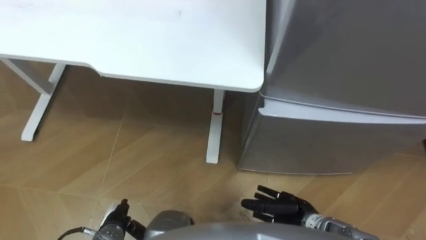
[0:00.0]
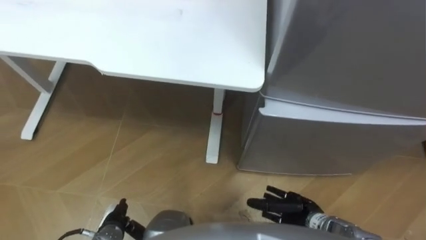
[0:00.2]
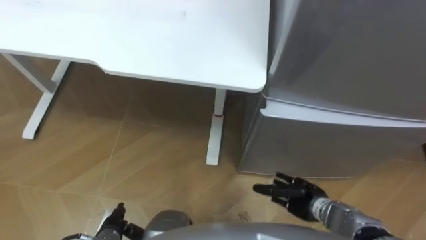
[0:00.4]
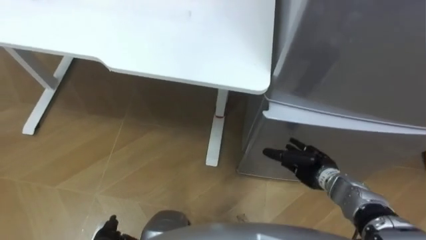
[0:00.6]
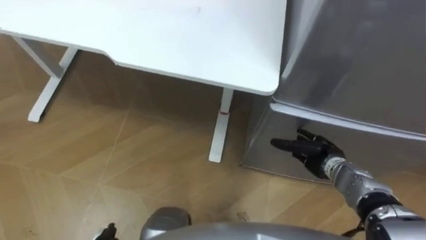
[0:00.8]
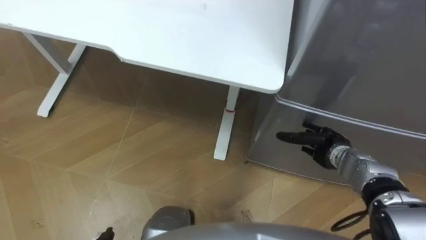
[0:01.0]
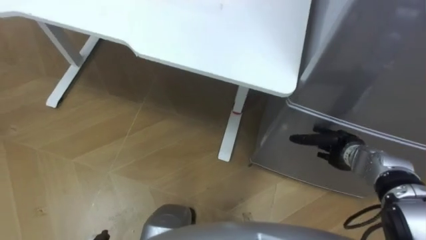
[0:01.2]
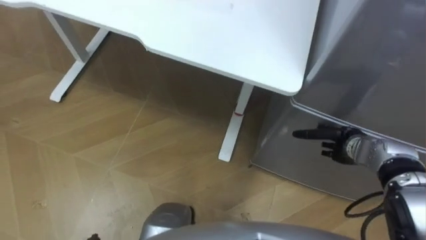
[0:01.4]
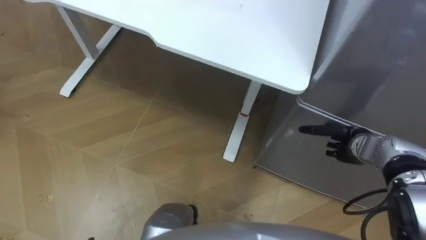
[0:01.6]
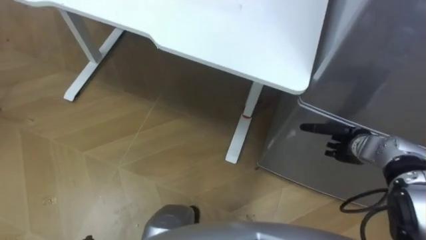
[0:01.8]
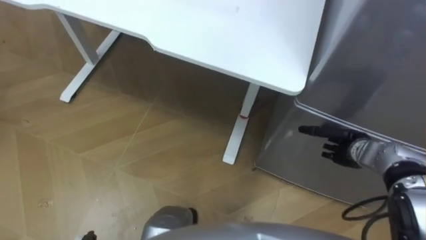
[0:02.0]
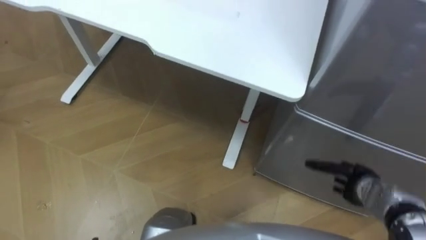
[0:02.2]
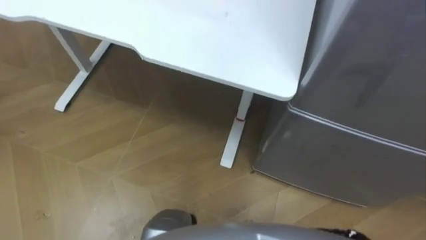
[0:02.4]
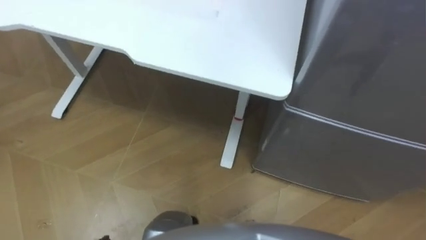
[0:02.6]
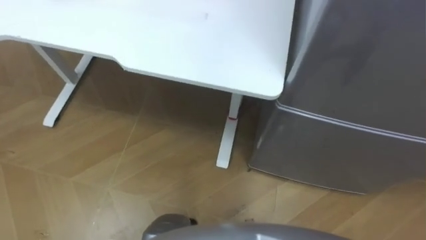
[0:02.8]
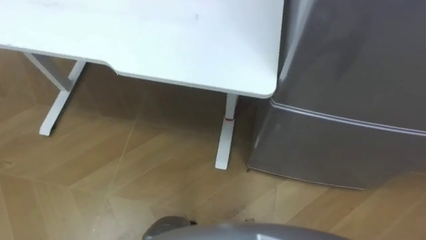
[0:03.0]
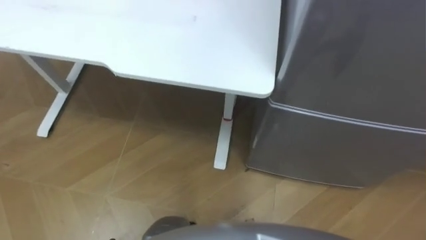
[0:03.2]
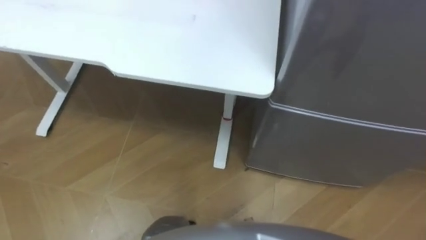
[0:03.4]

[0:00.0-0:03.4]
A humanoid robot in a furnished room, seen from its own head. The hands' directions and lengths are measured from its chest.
Task of the whole recording: Place the drink on the table on the bottom shelf of the refrigerator, then close the drawer and the refrigerator door.
0:00.0 to 0:01.6: The right hand travels forward, to the right and upward by about 20 cm.

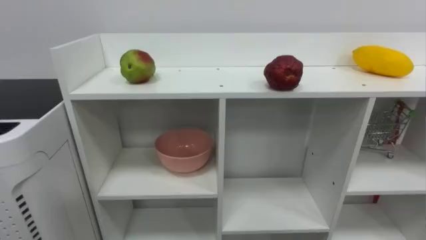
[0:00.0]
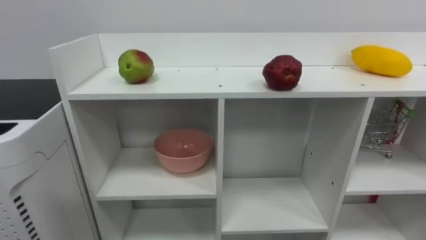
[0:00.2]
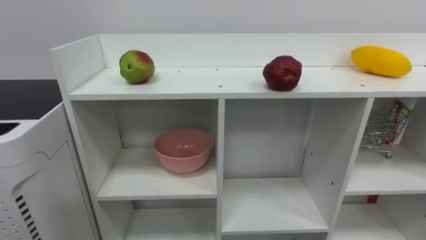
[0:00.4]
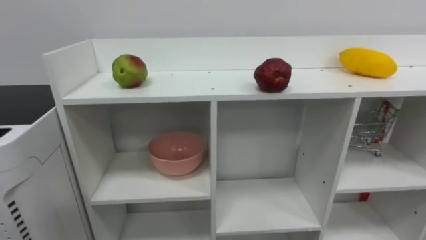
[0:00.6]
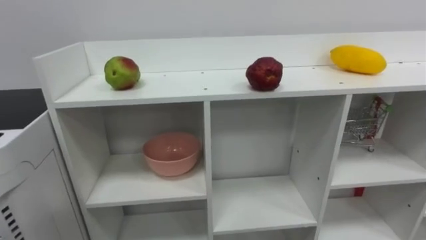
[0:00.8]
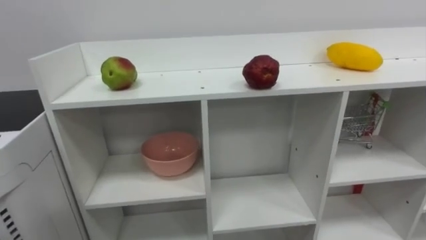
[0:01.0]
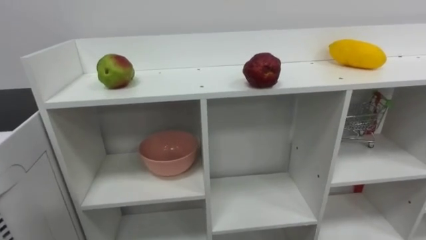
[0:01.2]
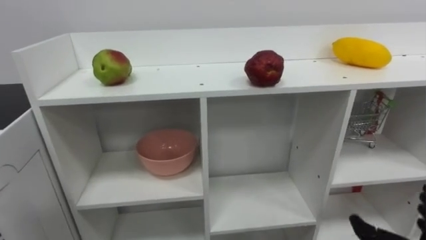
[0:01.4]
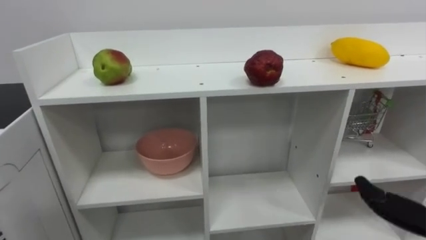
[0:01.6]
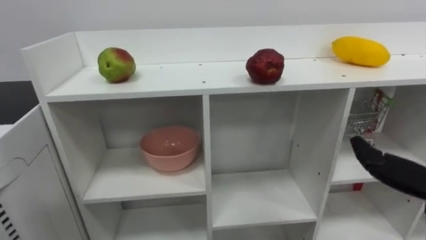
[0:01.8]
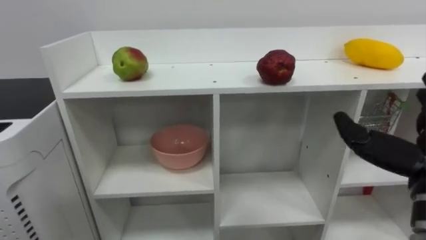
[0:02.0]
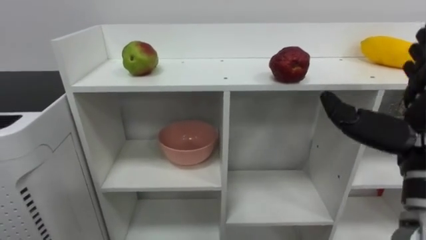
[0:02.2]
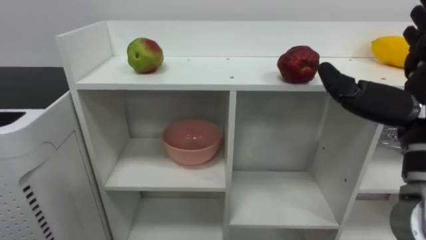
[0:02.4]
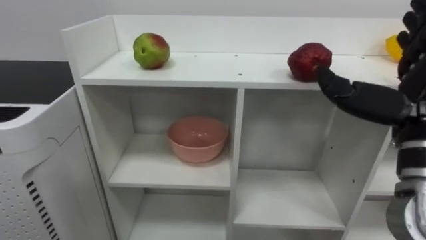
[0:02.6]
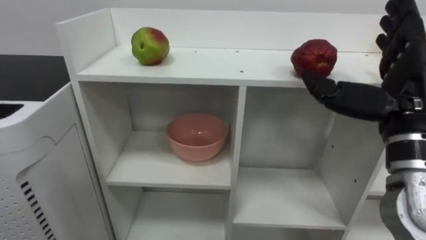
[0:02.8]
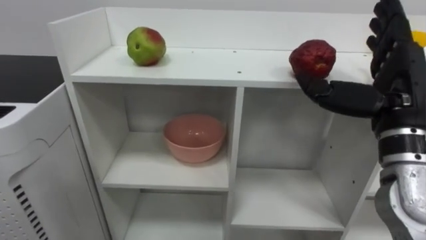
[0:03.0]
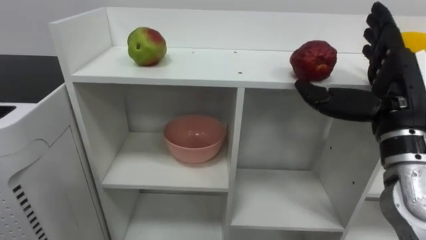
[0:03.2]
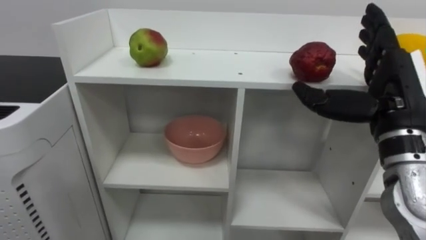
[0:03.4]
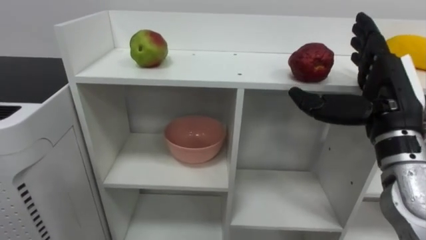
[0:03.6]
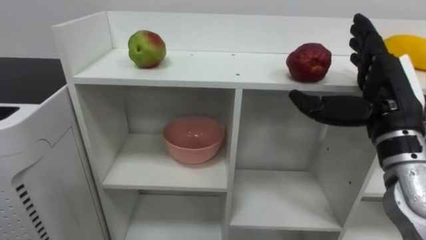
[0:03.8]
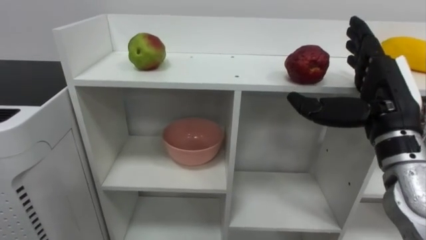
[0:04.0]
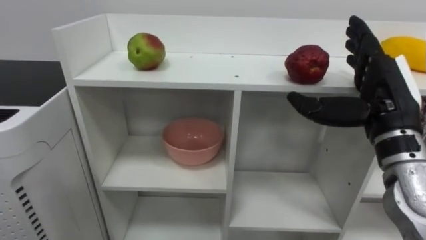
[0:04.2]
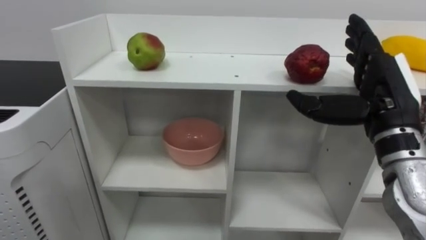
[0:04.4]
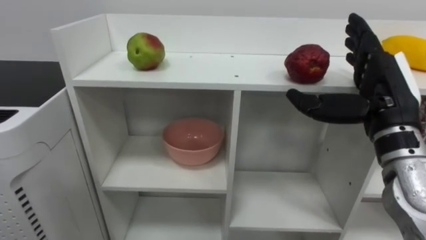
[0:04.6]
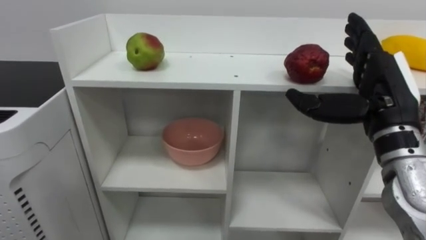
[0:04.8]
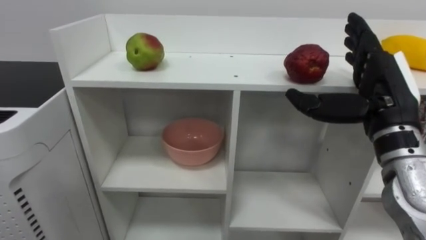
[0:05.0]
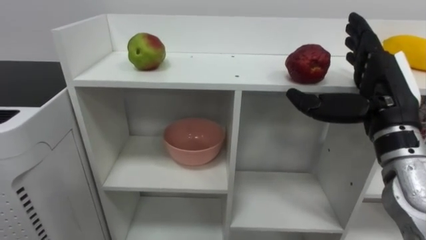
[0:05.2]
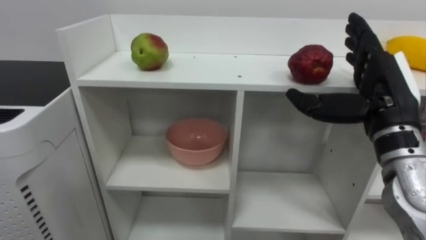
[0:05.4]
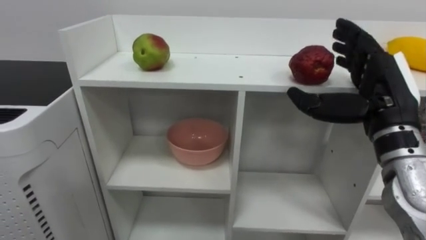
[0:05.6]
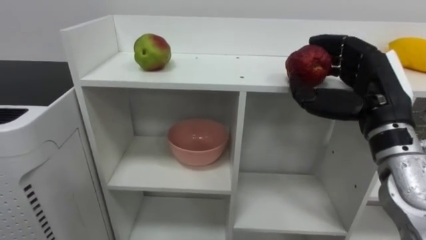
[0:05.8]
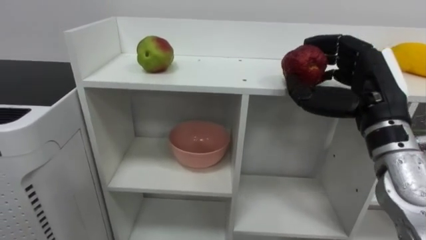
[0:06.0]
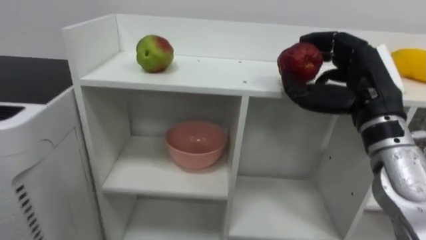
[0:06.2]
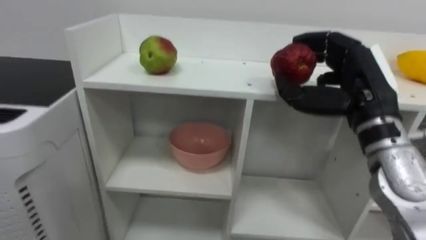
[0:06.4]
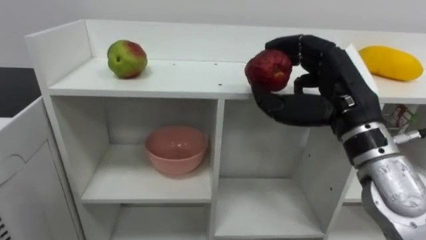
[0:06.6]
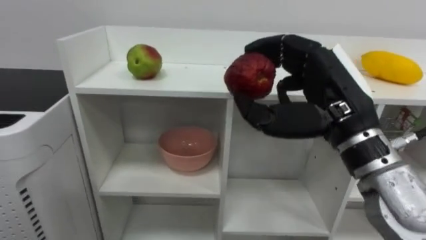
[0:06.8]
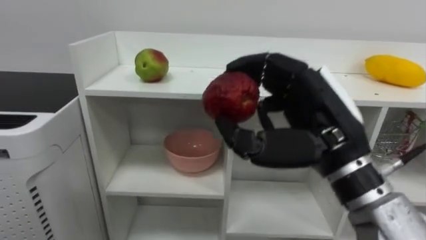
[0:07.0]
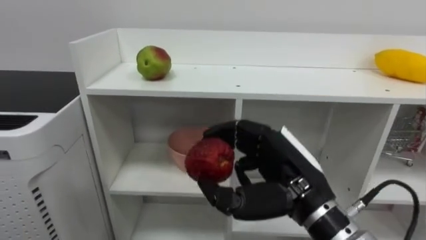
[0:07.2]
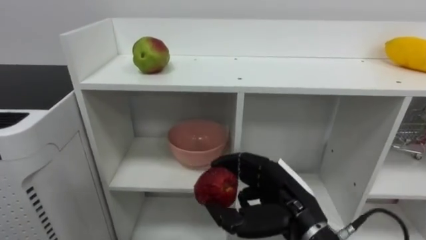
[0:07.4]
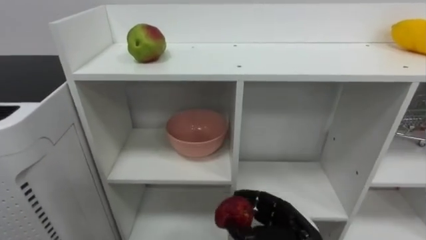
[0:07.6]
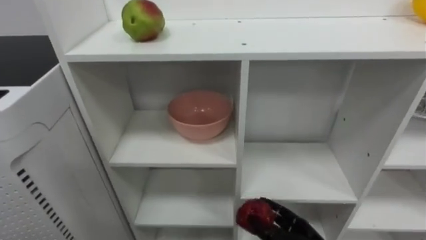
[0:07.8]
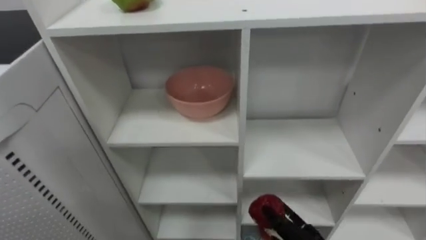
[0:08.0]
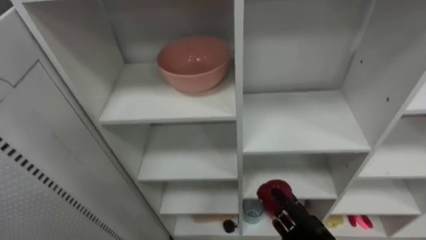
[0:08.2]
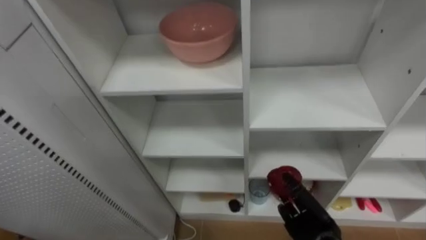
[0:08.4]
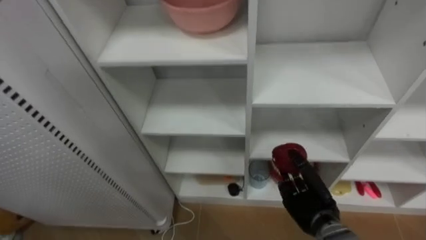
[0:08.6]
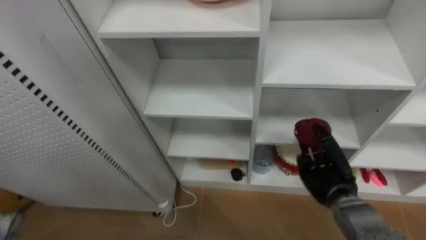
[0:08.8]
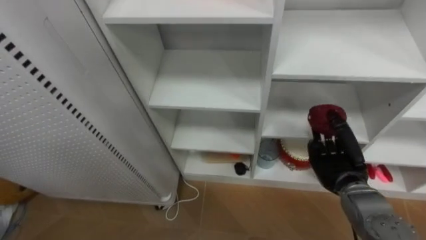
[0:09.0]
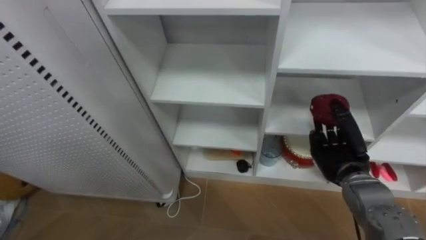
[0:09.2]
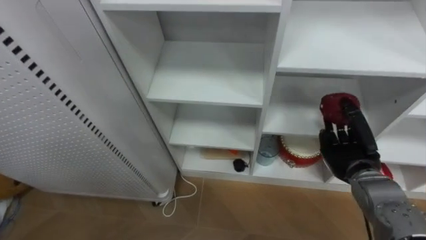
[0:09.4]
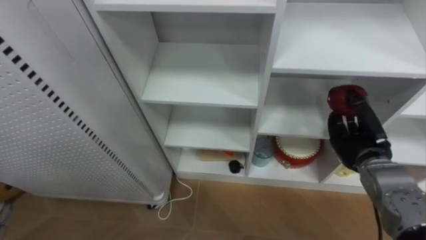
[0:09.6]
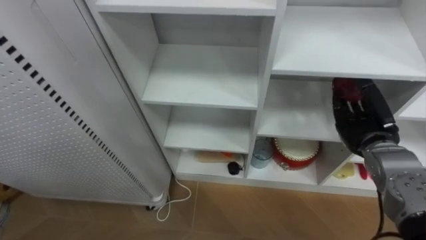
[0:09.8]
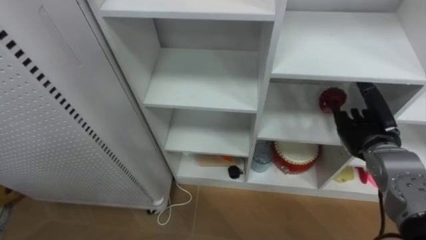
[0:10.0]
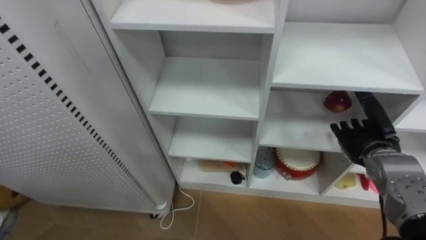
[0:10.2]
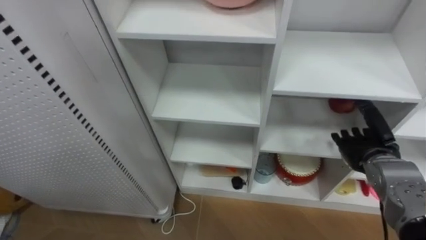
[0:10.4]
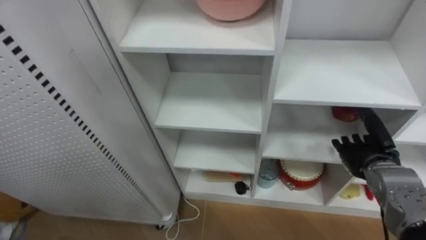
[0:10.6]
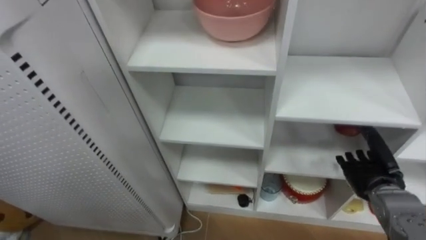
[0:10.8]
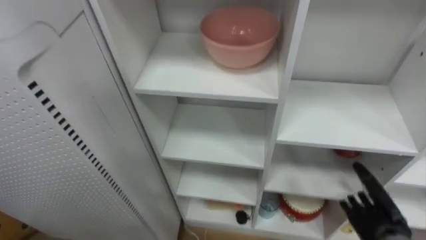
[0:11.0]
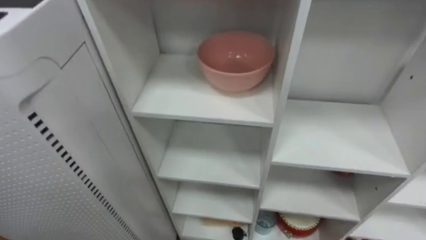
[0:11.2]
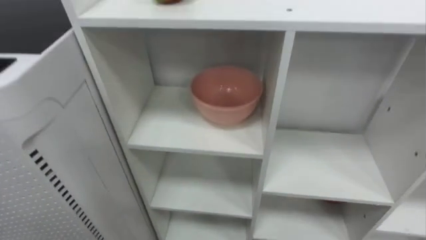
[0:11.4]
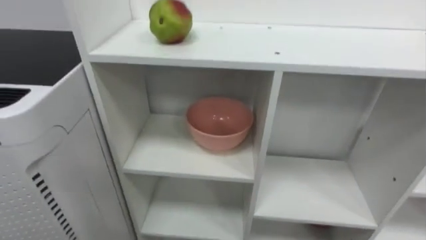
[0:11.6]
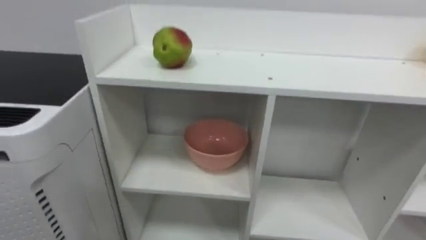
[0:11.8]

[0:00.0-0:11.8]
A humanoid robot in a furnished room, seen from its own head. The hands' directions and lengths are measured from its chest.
Task of the whole recording: Put the apple in the cell in the second column from the left and the second row from the top.
0:04.4 to 0:06.0: The right hand closes.
0:06.0 to 0:07.4: The right hand goes roughly 15 cm downward, to the left and backward.
0:08.8 to 0:10.4: The right hand moves to the right and upward, approximately 10 cm, and opens.
